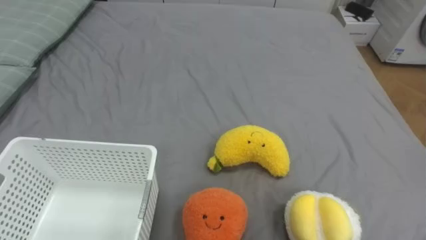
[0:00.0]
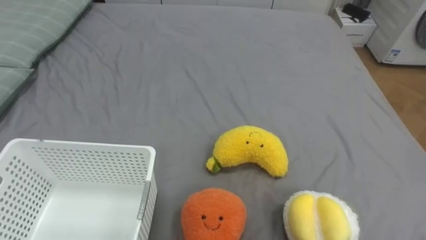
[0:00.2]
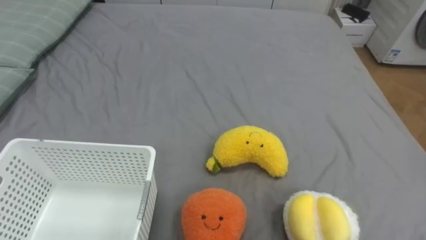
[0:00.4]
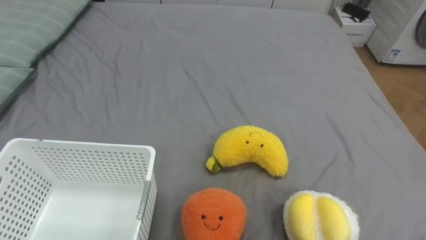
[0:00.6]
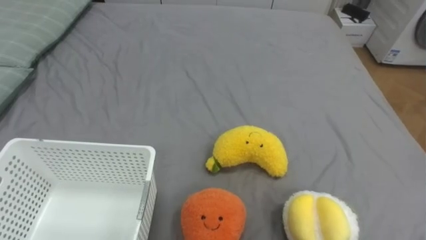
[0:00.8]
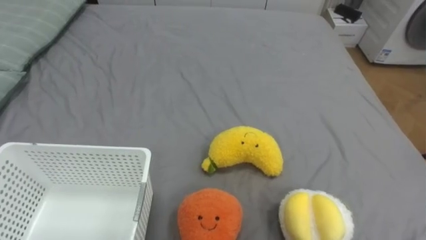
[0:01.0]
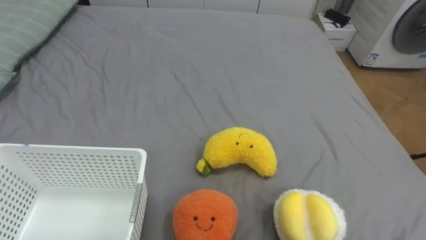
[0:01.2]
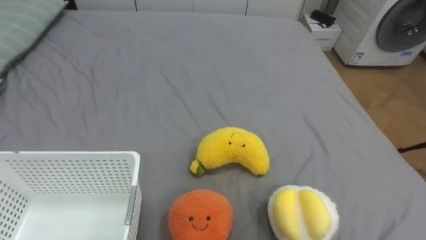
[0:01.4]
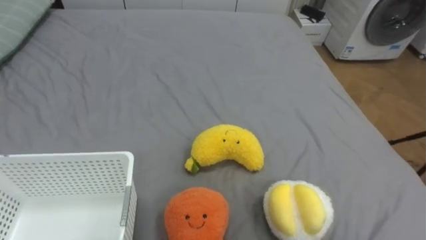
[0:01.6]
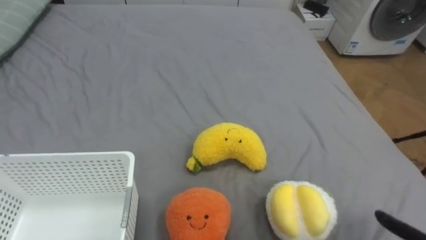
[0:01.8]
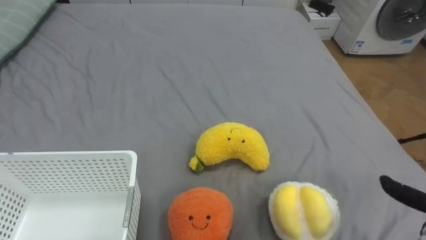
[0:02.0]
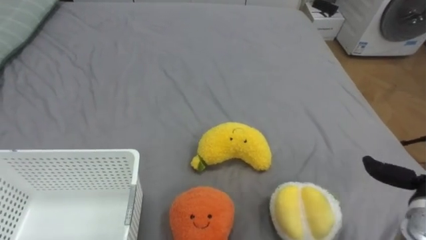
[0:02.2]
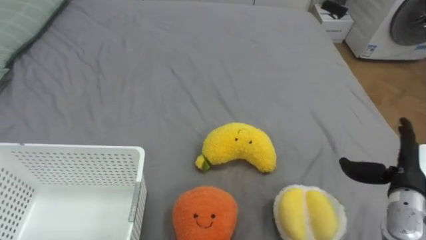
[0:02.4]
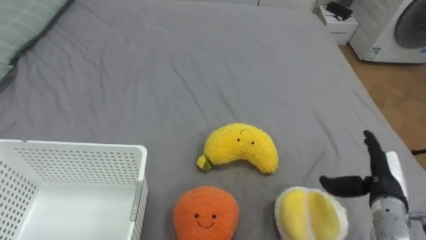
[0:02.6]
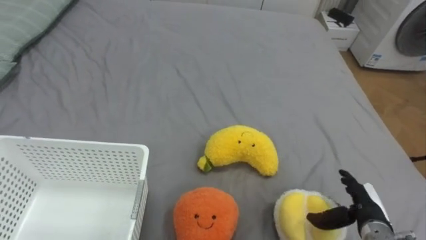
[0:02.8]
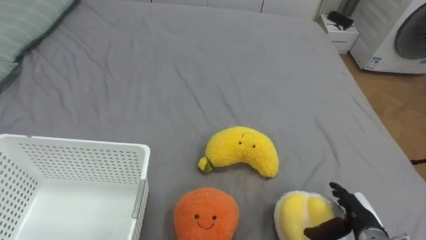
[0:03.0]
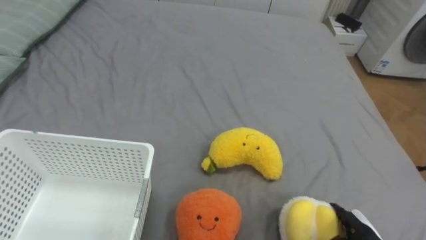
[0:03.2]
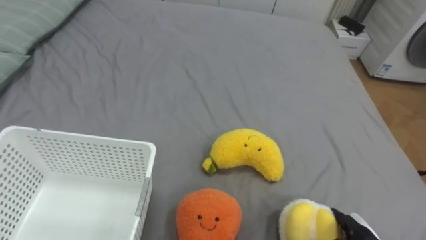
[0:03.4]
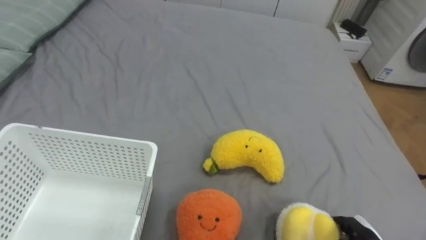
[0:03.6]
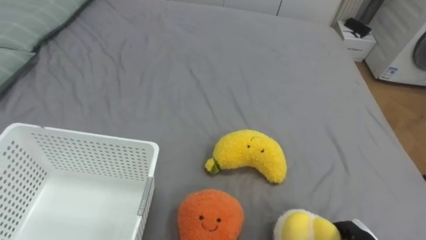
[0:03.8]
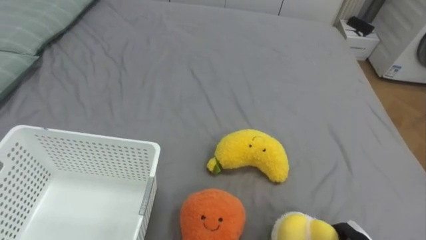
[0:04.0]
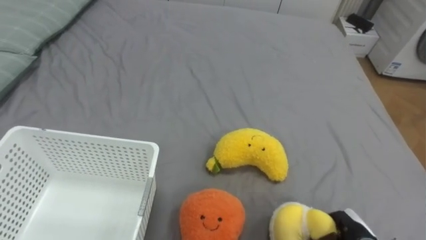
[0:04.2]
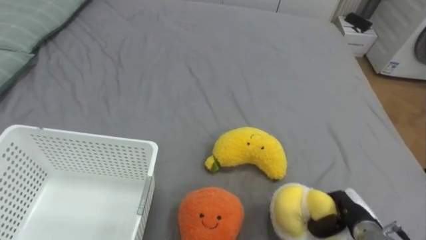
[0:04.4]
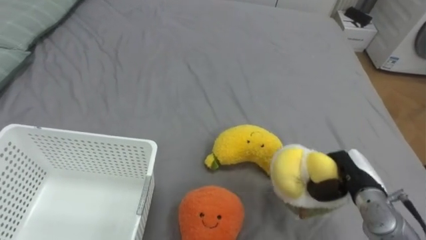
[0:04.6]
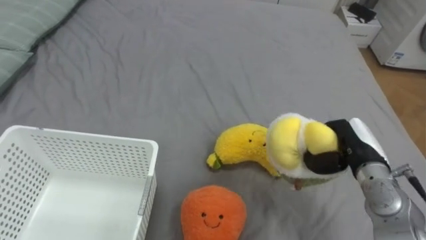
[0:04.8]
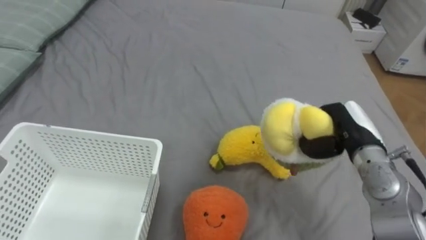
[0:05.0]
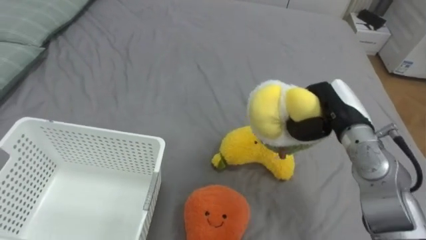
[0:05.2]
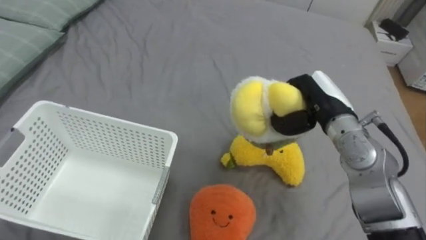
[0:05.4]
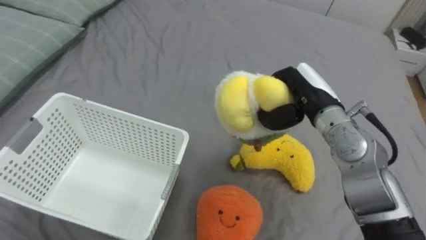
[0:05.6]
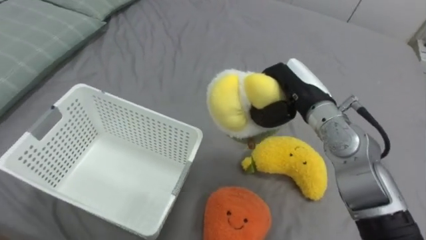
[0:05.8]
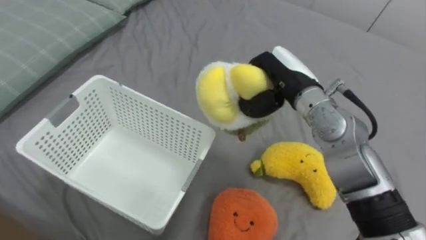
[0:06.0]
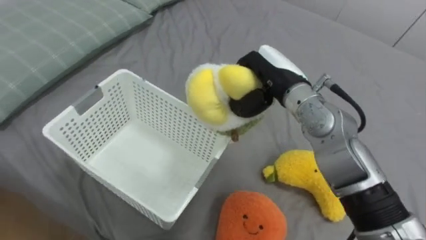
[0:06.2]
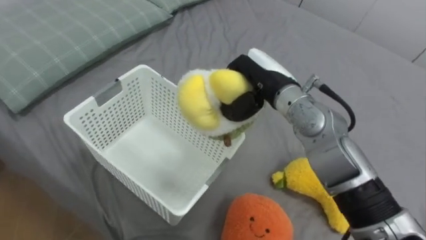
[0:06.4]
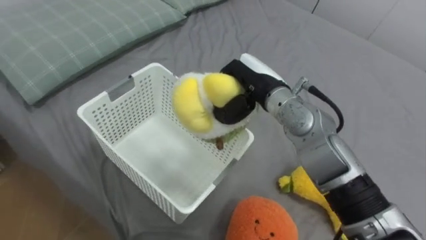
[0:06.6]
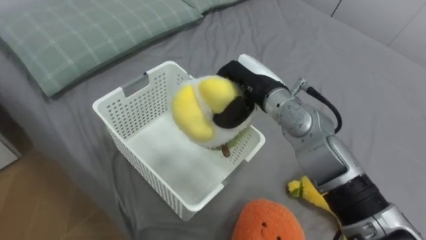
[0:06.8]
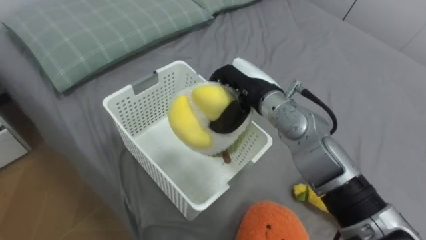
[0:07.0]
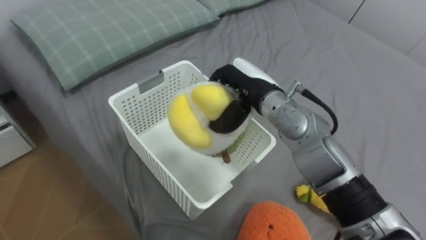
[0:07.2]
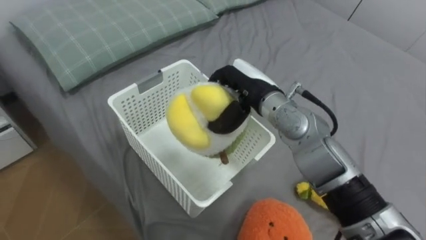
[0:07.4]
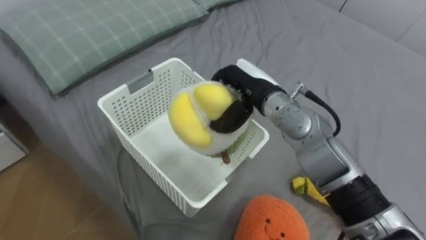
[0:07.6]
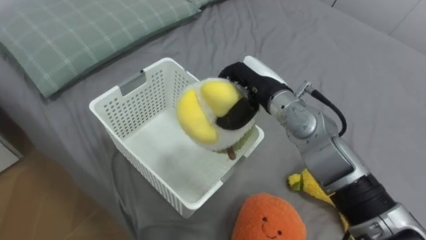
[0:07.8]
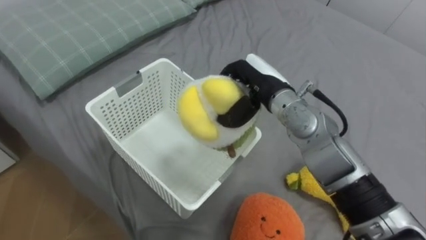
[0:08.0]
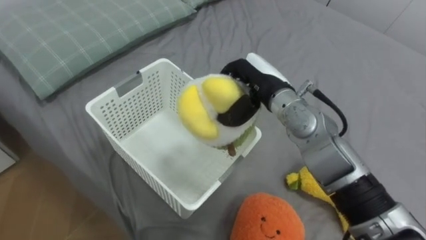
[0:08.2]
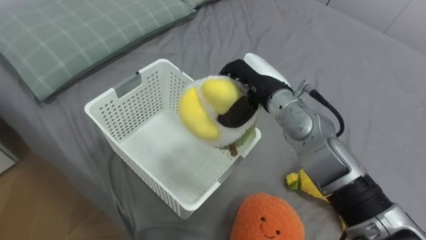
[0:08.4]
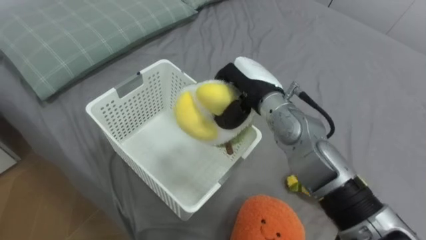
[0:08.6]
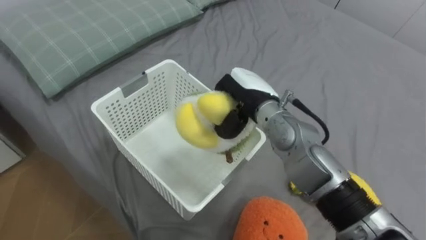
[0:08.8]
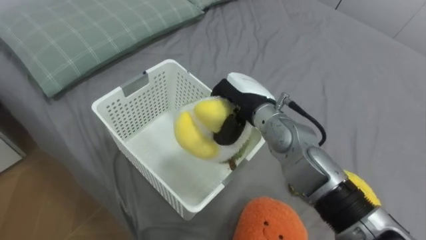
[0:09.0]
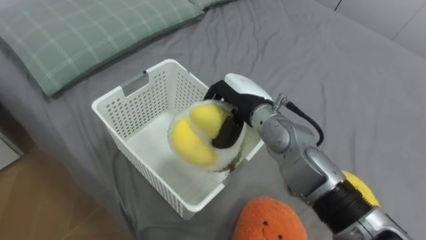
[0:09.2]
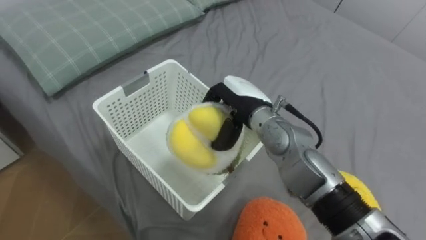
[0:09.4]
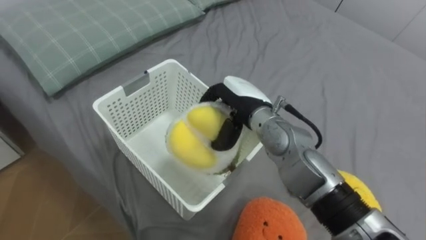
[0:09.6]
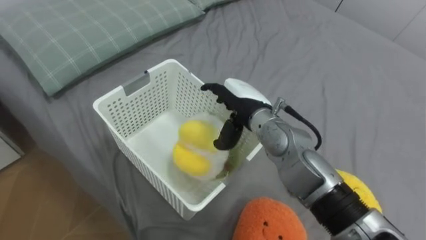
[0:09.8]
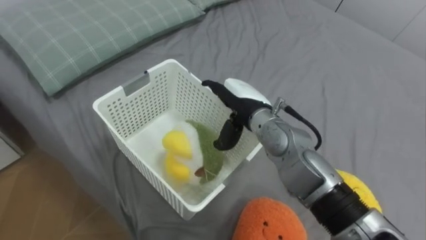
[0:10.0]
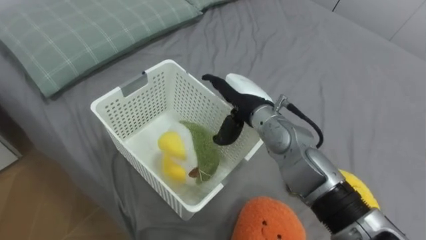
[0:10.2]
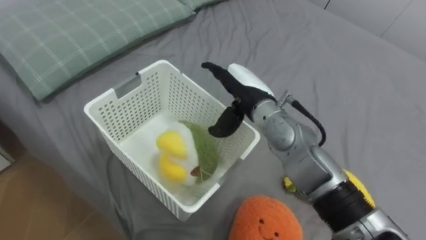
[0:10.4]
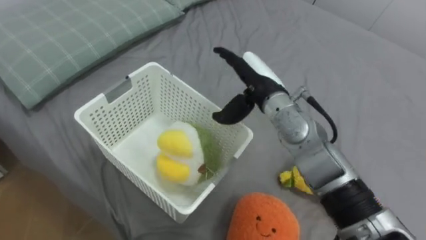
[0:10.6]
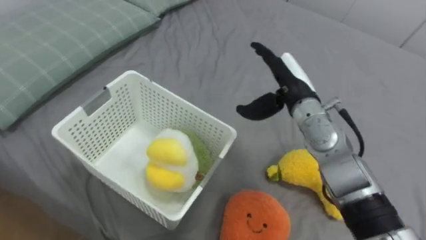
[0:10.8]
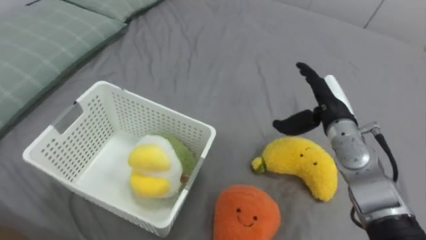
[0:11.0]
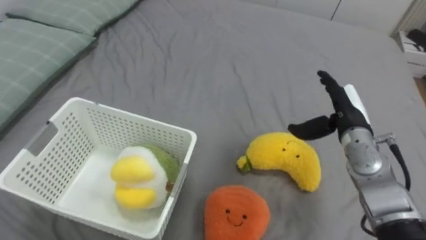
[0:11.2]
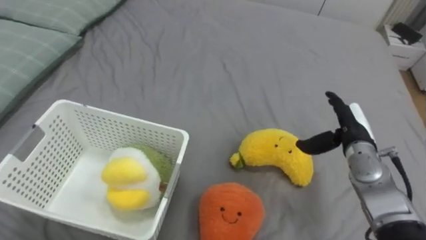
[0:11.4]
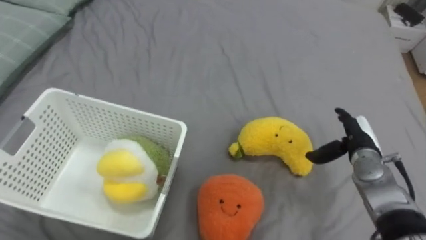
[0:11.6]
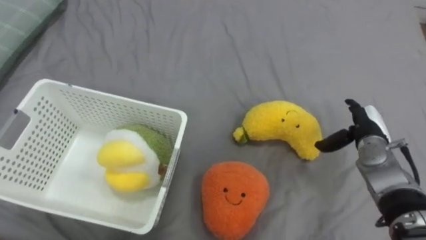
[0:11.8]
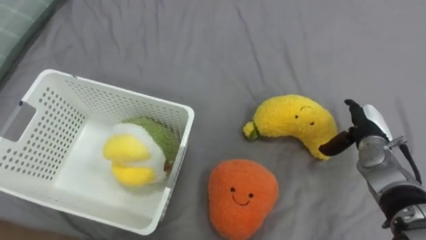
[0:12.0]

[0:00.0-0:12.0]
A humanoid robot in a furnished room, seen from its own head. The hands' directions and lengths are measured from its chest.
Task of the whole recording: Put the toys on the bed into the basket on the left.
0:04.4 to 0:06.0: The right hand goes approximately 35 cm upward, forward and to the left.
0:06.0 to 0:07.6: The right hand goes roughly 5 cm to the left.
0:09.0 to 0:10.4: The right hand opens up.
0:10.4 to 0:12.0: The right hand shifts some 30 cm to the right and downward.

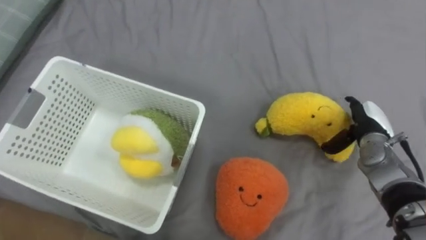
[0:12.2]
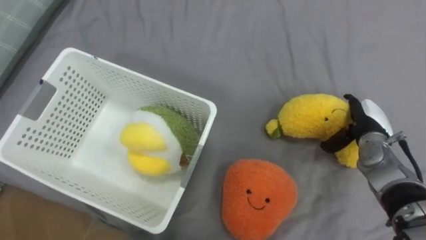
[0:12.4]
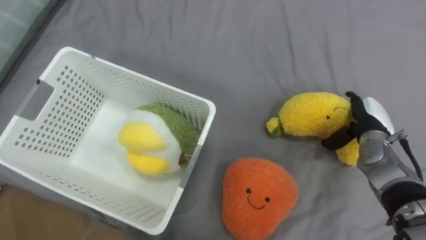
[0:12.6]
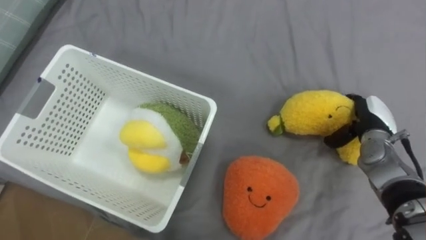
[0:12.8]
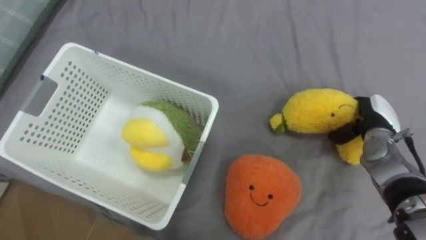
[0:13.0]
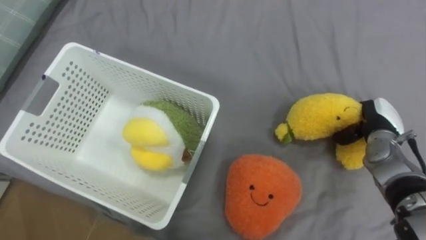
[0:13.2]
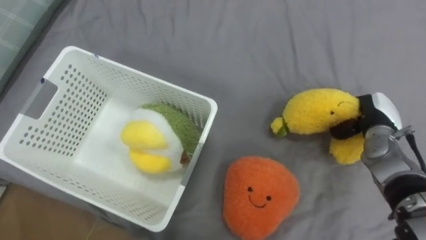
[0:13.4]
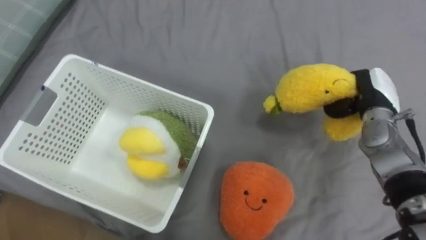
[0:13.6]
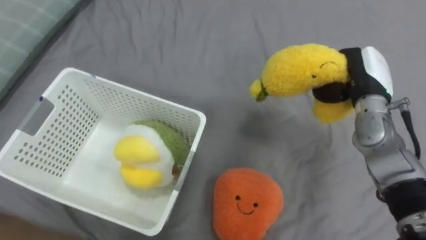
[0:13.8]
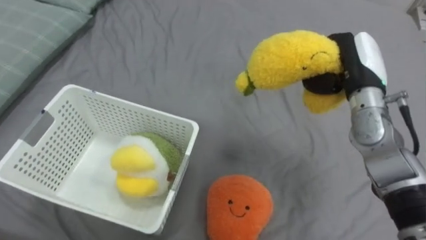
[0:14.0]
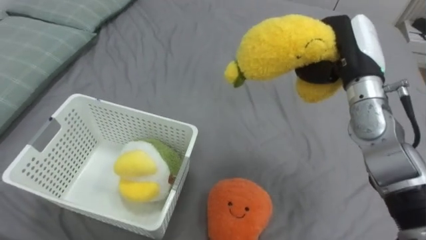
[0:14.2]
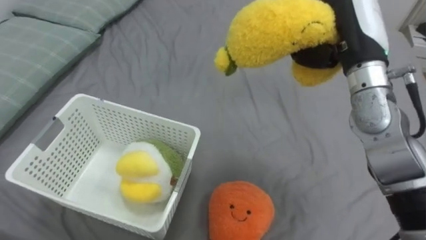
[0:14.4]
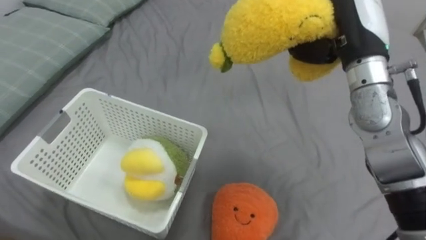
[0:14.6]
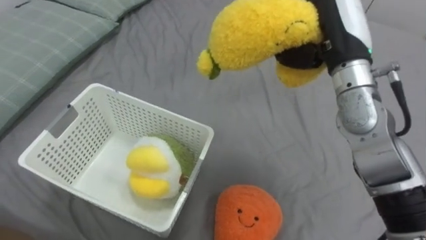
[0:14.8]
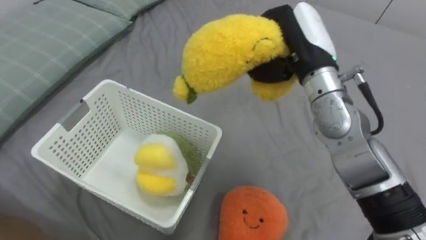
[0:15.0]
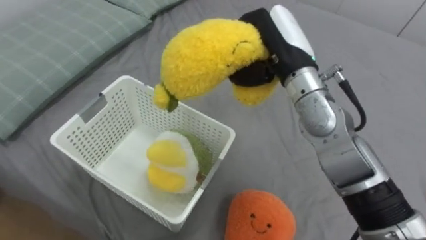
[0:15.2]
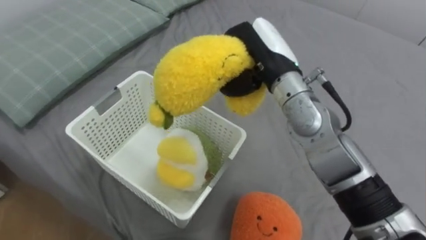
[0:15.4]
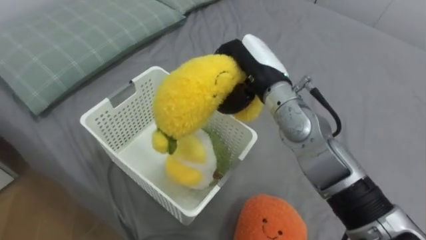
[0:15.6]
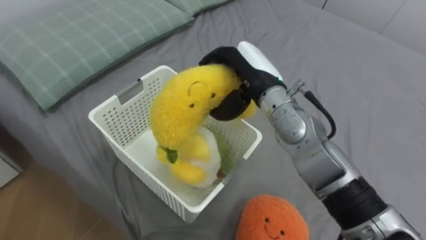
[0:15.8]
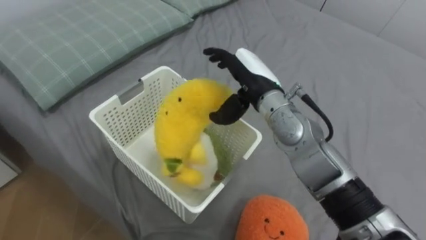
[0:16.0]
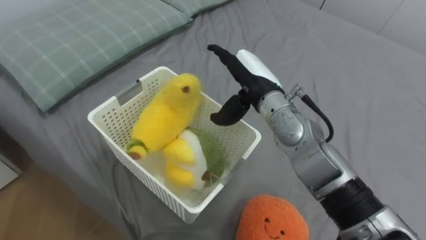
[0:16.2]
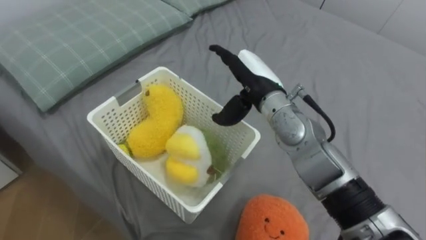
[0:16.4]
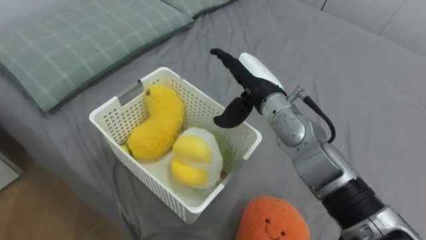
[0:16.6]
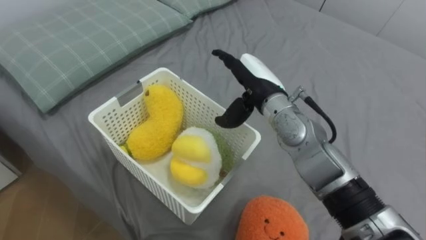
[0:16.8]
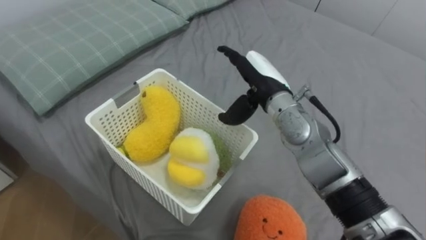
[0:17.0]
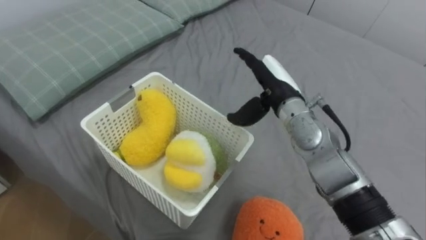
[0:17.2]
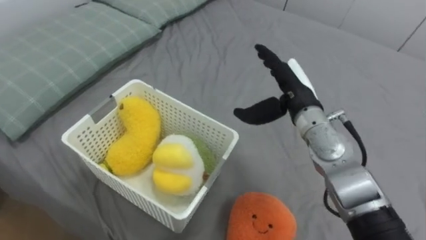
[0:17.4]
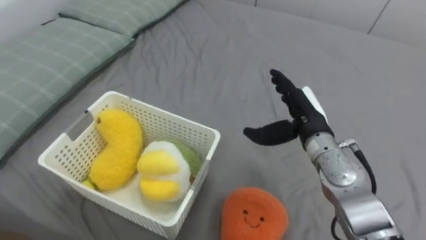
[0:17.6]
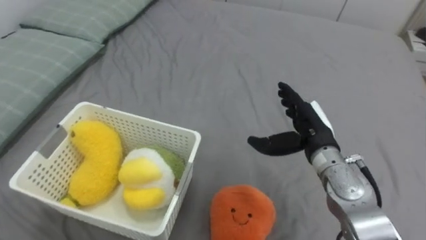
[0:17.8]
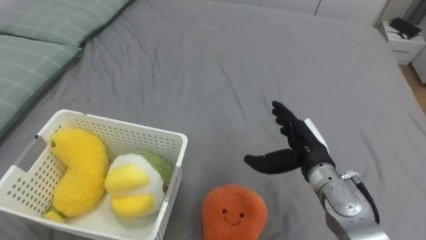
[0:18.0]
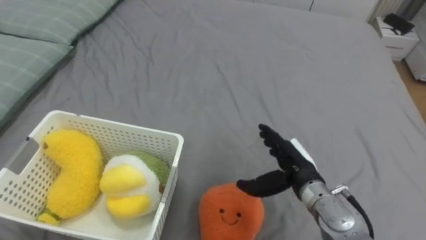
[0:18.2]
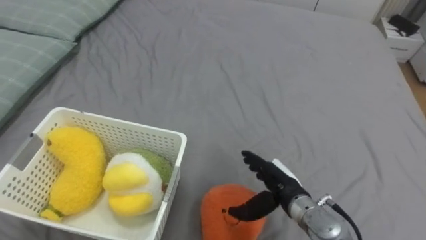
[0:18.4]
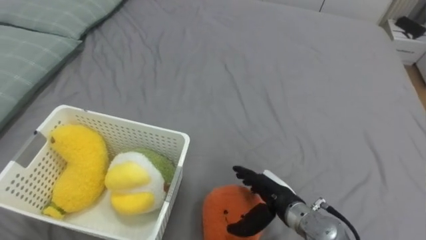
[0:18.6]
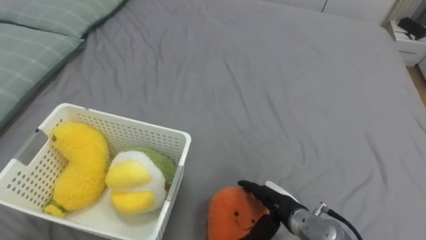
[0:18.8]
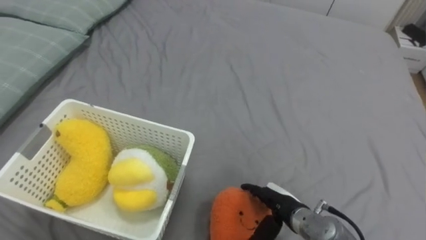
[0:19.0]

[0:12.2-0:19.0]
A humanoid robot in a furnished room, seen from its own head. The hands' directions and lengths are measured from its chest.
Task of the whole recording: Put the toys on the bed into the basket on the left.
0:12.2 to 0:13.6: The right hand shifts some 5 cm upward, and closes up.
0:13.6 to 0:15.0: The right hand heads to the left and upward, covering some 20 cm.
0:15.0 to 0:16.2: The right hand heads downward and to the left, covering some 10 cm, and opens up.
0:16.2 to 0:17.6: The right hand is displaced to the right and downward by about 10 cm.
0:17.6 to 0:19.0: The right hand travels downward and backward by some 20 cm.
